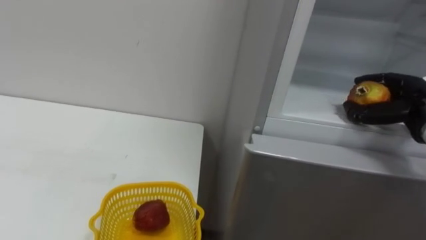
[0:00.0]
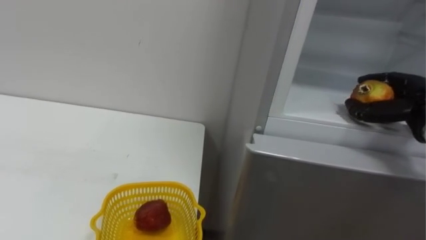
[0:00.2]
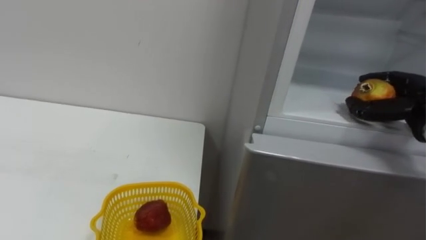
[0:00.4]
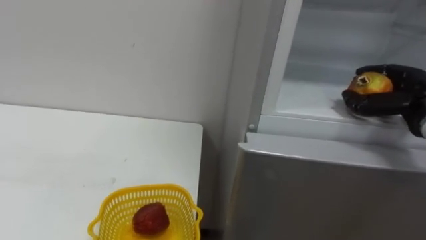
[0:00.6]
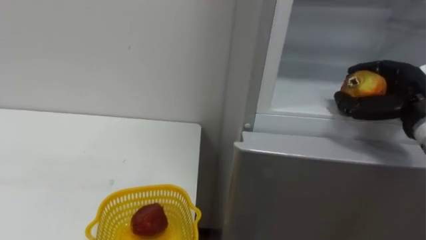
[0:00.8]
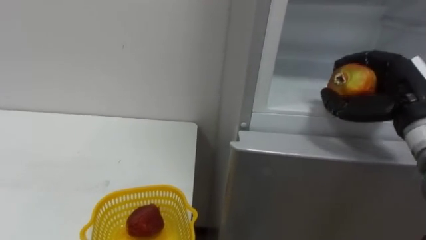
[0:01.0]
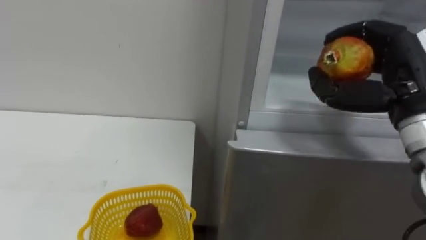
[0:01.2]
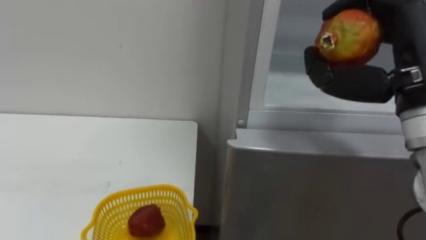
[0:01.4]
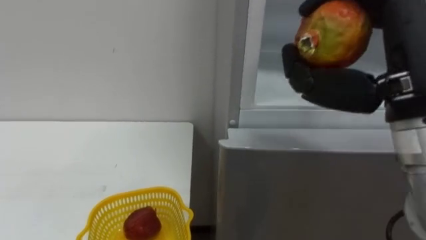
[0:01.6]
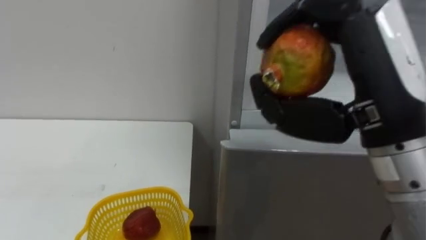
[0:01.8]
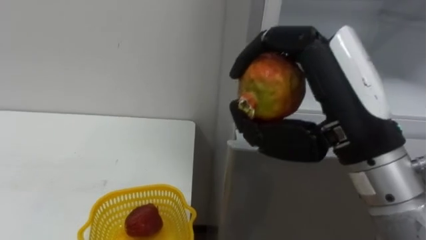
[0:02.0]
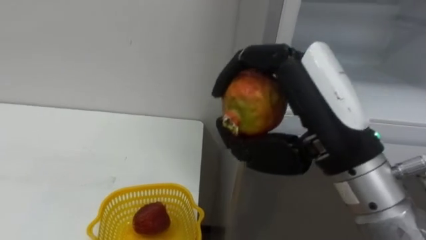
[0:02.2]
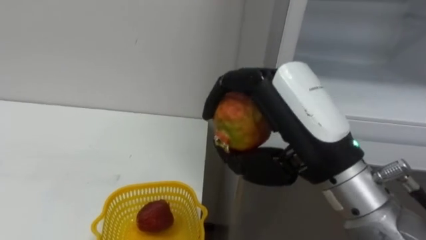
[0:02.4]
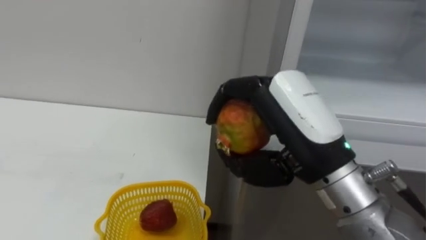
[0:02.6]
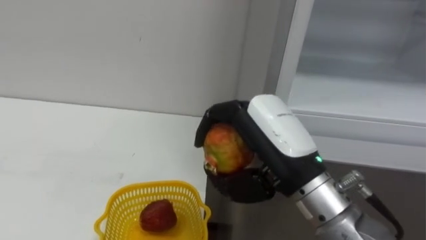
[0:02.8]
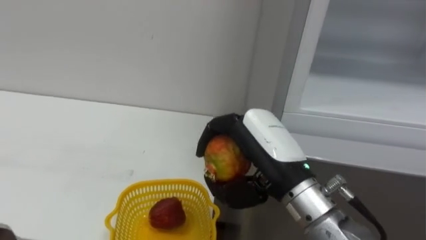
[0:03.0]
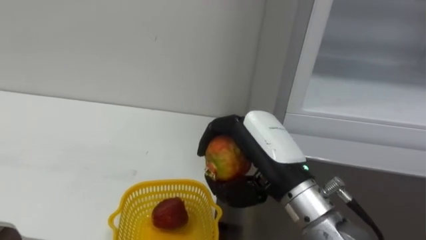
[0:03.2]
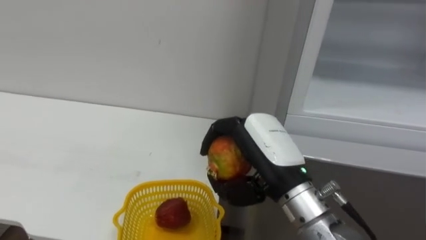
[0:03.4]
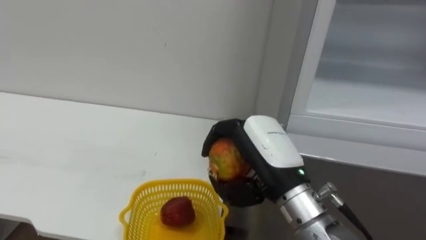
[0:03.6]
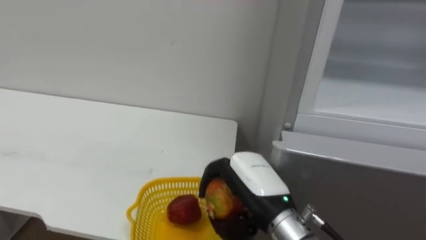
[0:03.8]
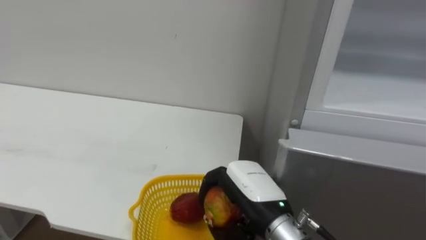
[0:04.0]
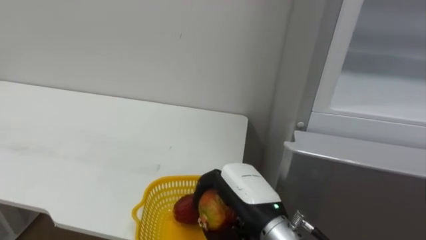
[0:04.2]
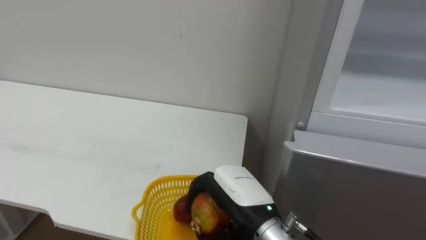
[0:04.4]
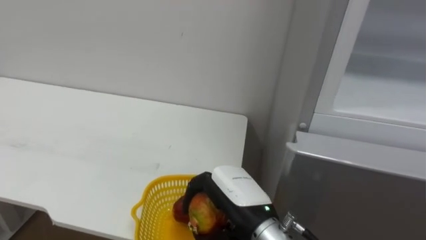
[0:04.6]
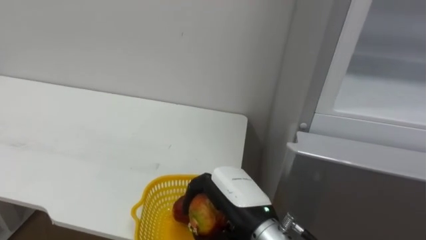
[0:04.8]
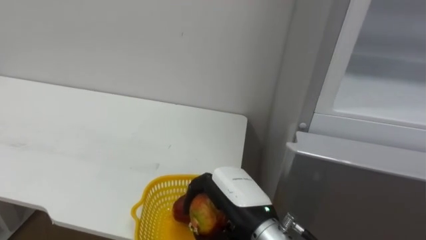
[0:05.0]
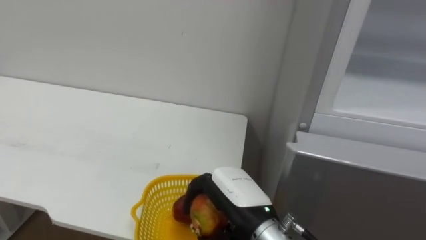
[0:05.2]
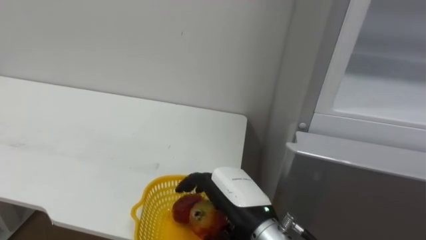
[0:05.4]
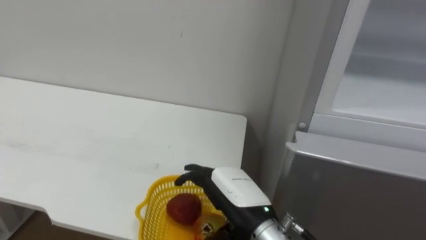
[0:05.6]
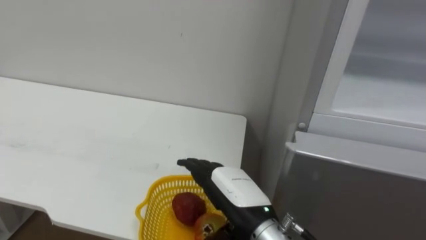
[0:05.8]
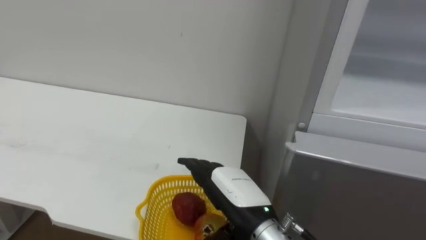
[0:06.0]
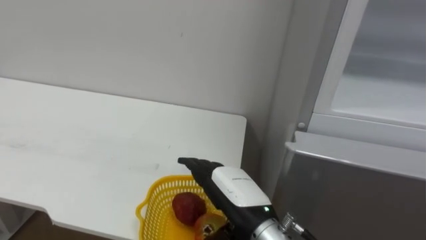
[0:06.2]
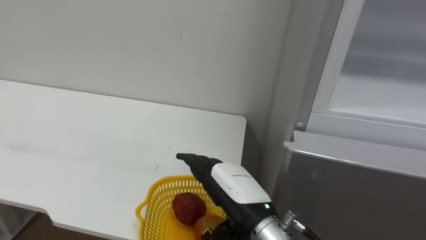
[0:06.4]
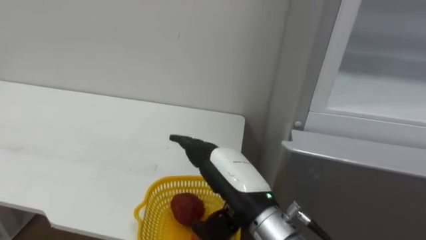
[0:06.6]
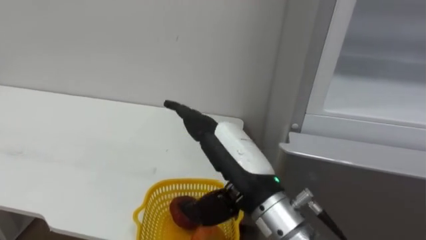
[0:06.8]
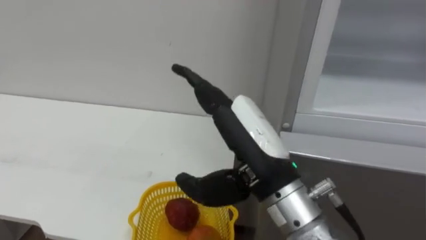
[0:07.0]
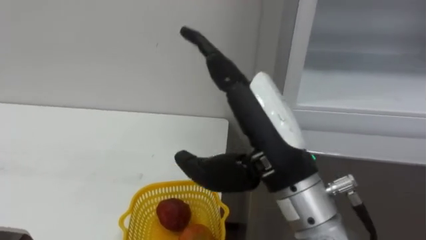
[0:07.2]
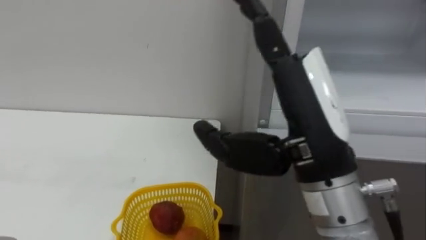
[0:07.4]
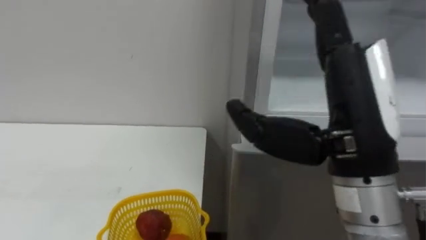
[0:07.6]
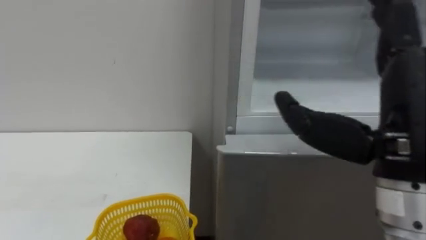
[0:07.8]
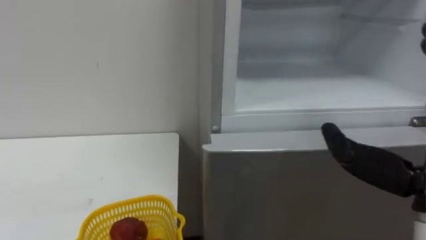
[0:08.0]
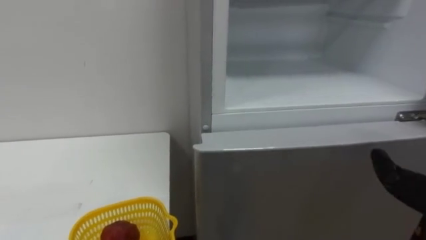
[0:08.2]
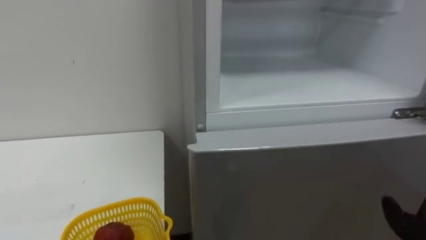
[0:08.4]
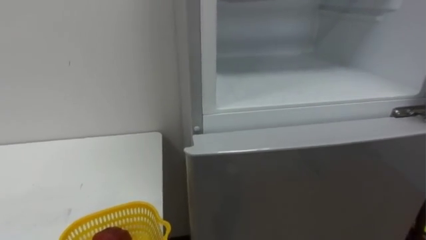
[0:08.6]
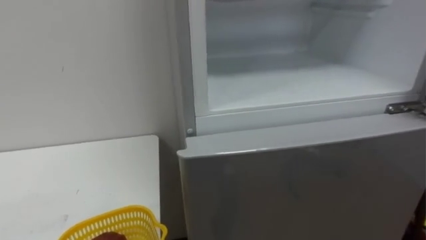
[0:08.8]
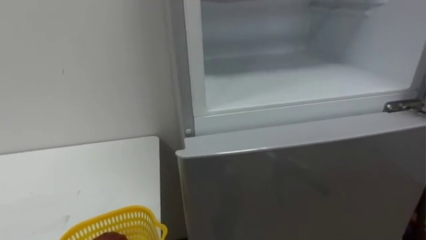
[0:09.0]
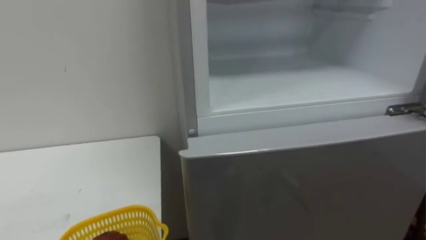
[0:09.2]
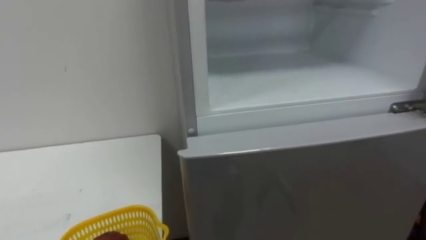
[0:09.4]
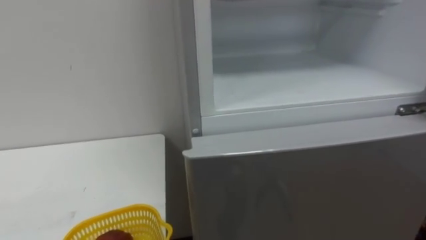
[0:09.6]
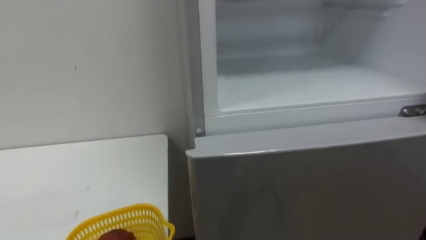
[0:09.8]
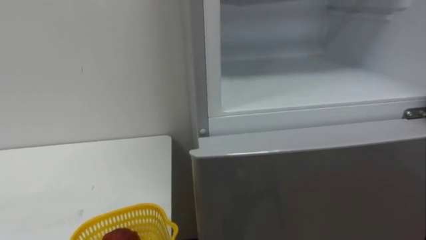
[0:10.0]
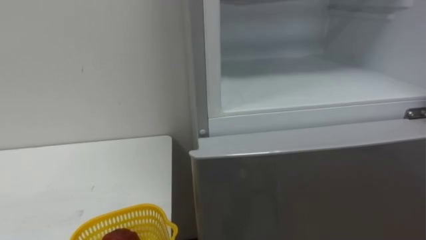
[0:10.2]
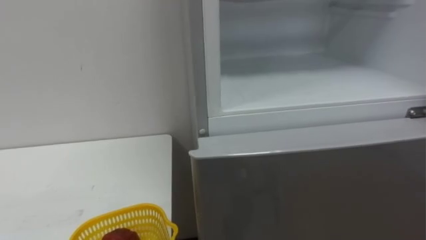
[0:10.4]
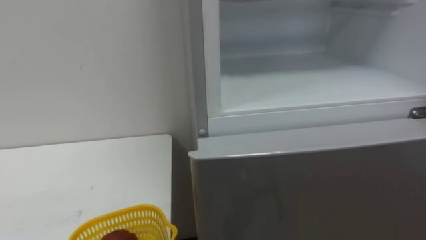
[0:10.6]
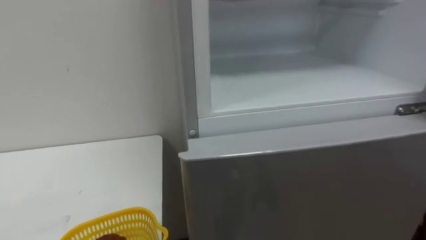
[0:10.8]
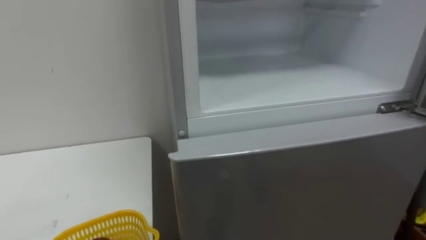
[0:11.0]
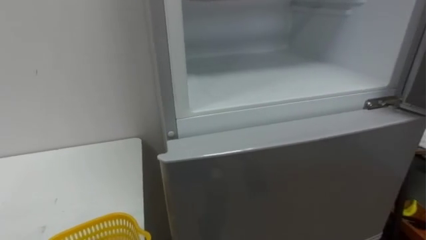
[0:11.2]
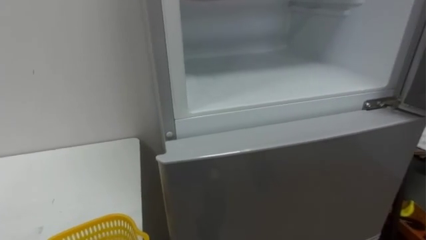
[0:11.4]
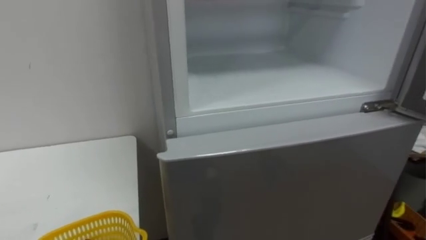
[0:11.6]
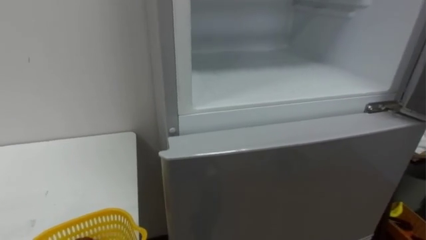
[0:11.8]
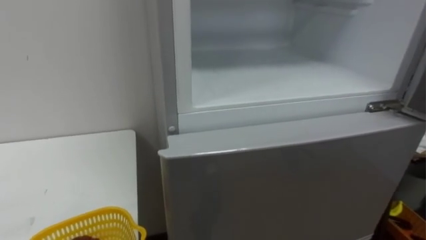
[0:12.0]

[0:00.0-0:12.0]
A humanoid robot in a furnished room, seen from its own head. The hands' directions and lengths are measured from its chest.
Task of the whole recording: Open the refrigerator door, take out the apple and the pomegranate, place them in the fruit basket on the left, and close the refrigerator door.
0:00.0 to 0:01.6: The right hand travels to the left, backward and upward by some 25 cm.
0:01.6 to 0:03.0: The right hand shifts approximately 15 cm downward and to the left.
0:03.0 to 0:04.4: The right hand travels downward by about 10 cm.
0:04.4 to 0:06.0: The right hand opens its fingers.
0:06.0 to 0:07.6: The right hand goes roughly 20 cm upward and to the right.

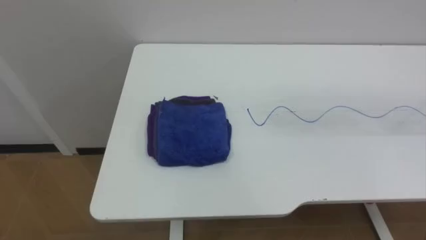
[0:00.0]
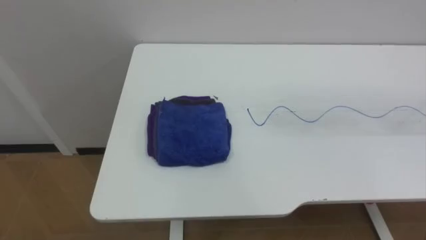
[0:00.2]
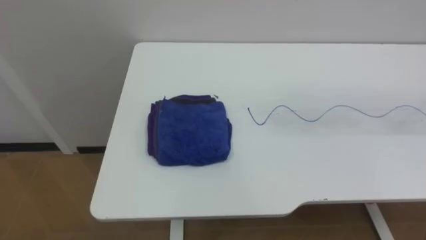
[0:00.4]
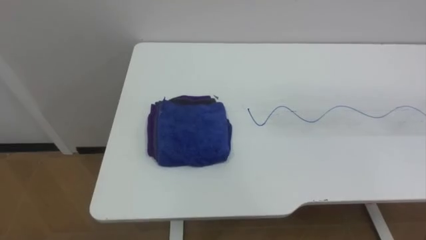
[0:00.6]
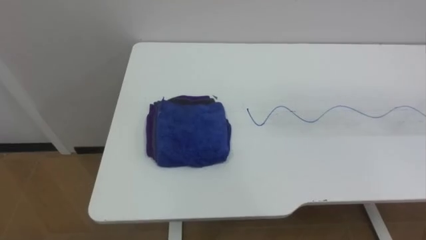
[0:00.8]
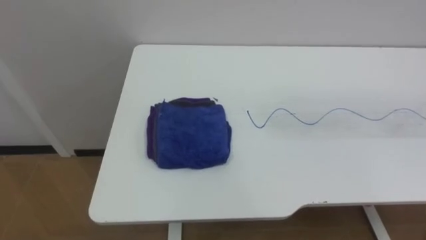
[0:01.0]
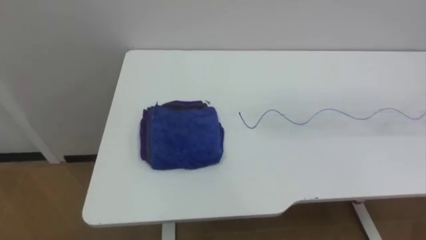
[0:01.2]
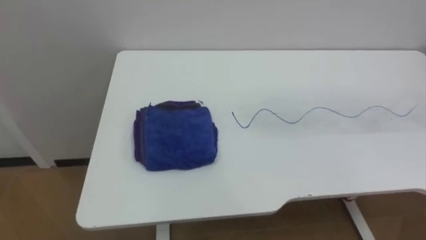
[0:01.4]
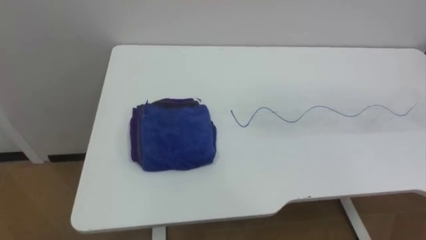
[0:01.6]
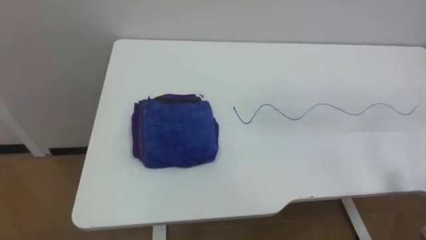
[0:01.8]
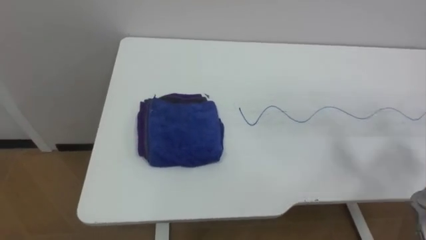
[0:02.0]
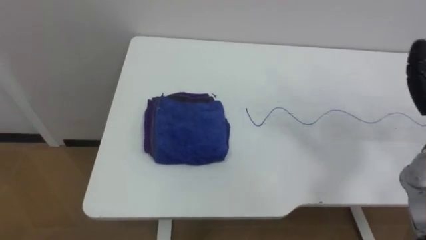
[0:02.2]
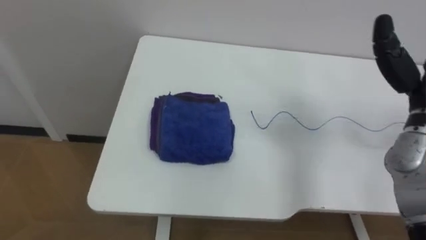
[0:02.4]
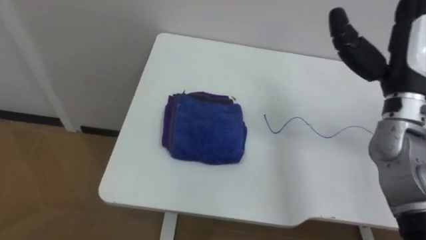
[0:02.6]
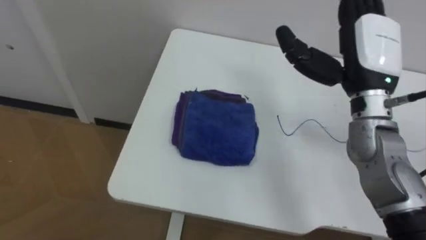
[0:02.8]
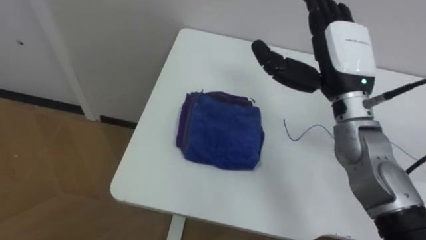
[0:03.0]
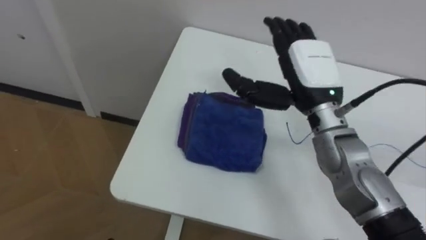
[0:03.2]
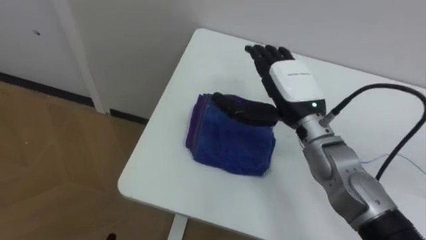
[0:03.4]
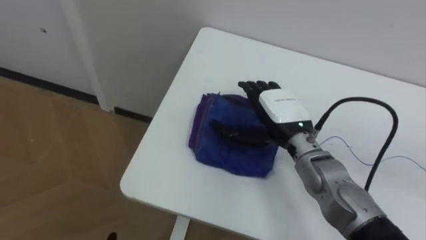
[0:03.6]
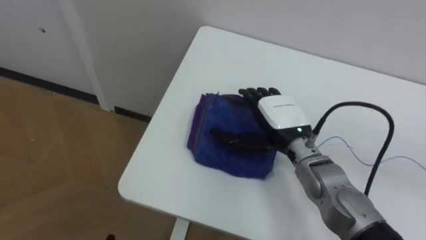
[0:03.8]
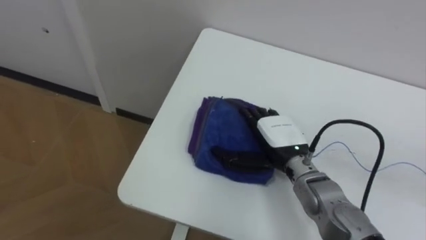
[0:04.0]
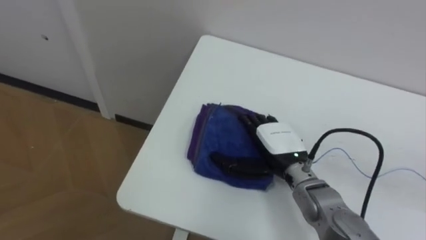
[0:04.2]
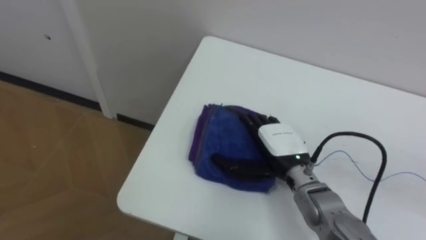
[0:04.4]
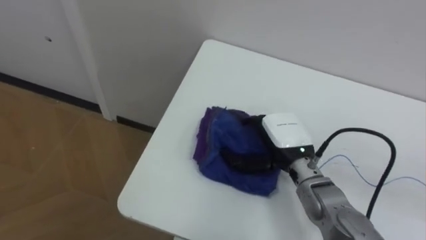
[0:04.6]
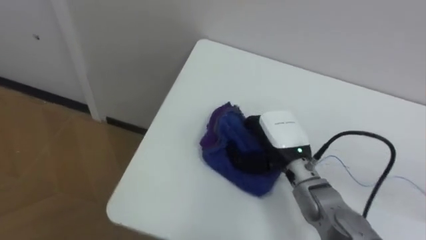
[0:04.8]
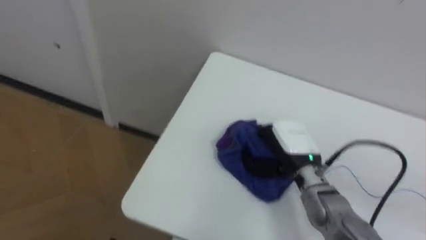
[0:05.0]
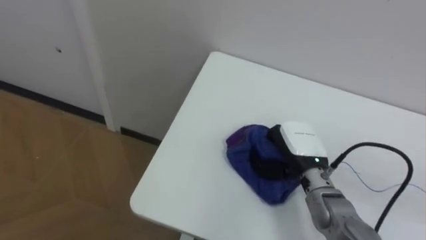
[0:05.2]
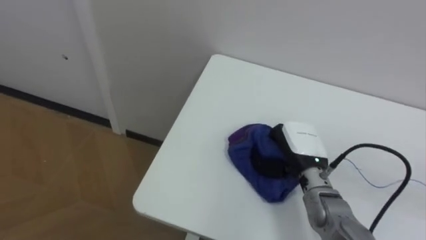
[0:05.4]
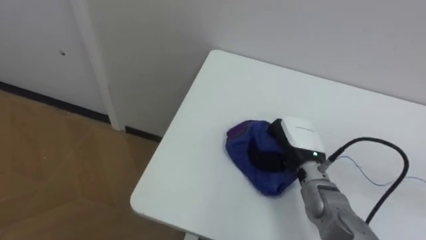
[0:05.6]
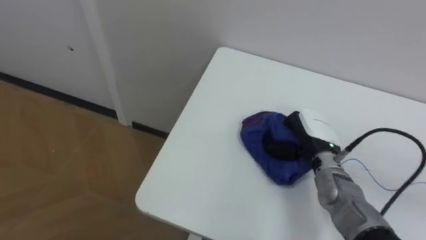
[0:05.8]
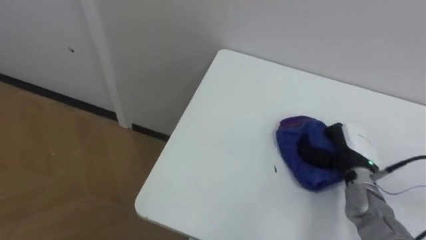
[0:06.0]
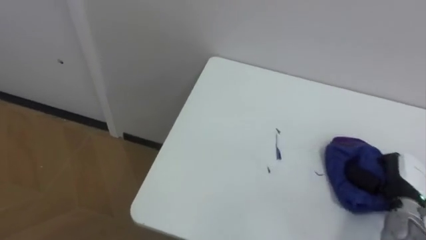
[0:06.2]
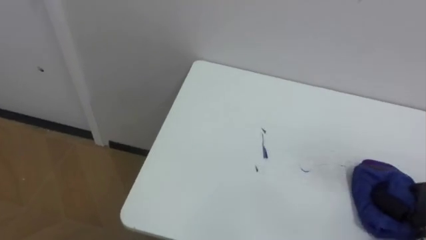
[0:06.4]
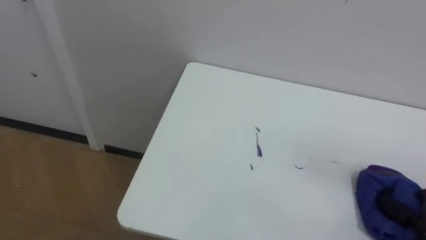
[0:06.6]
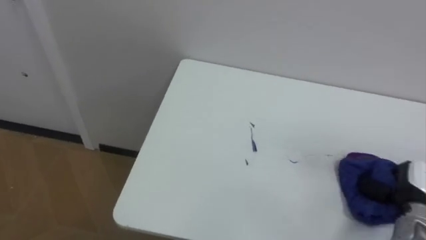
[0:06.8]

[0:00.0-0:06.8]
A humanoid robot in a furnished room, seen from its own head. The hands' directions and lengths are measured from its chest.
Task of the whole recording: Wipe the blue pen marks off the table with the rag.
0:02.8 to 0:04.0: The right hand is displaced downward and to the left by approximately 20 cm.
0:04.0 to 0:05.4: The right hand closes up.
